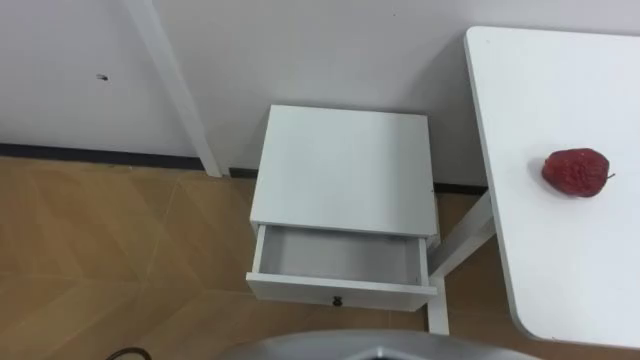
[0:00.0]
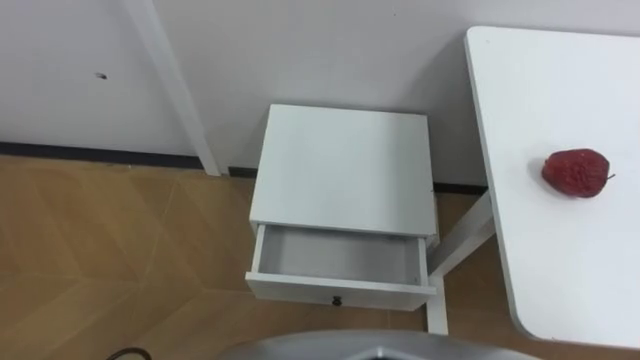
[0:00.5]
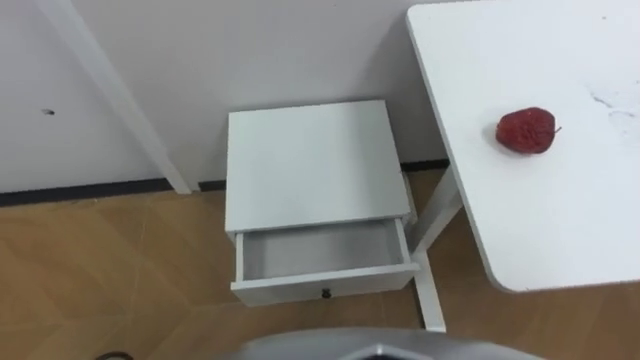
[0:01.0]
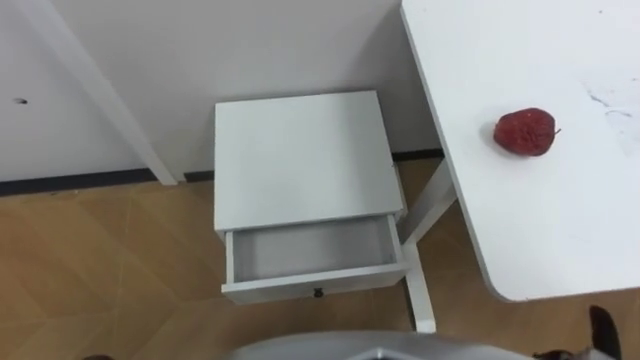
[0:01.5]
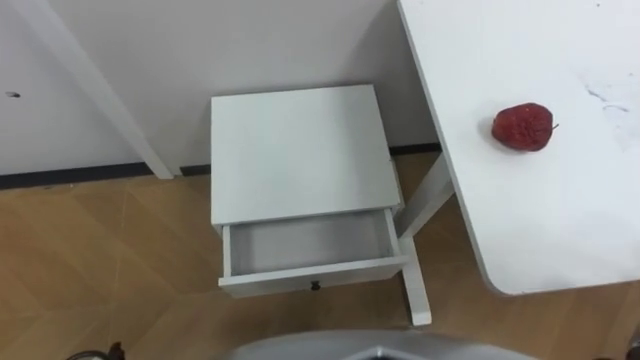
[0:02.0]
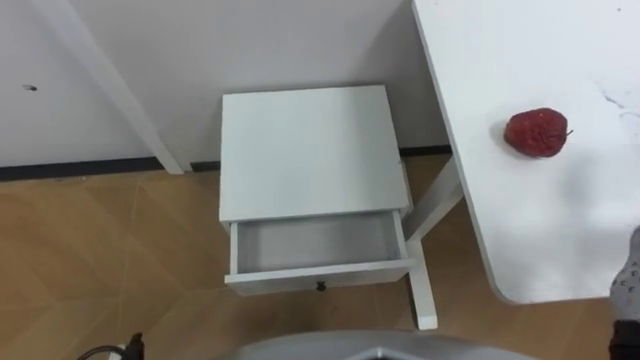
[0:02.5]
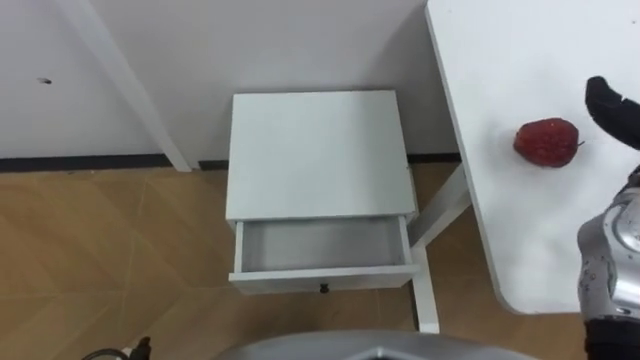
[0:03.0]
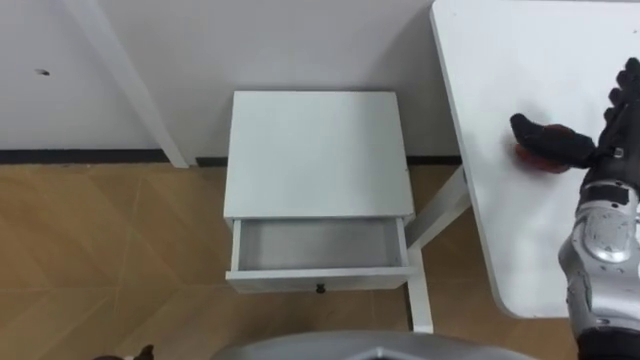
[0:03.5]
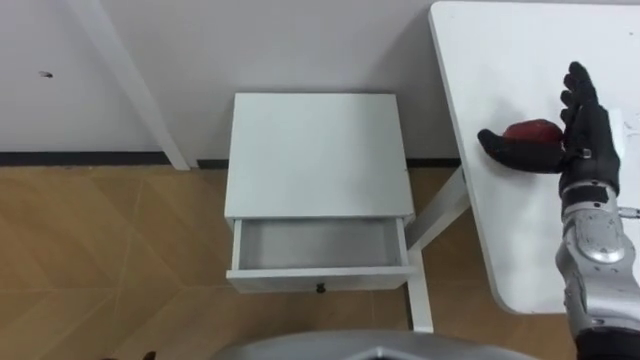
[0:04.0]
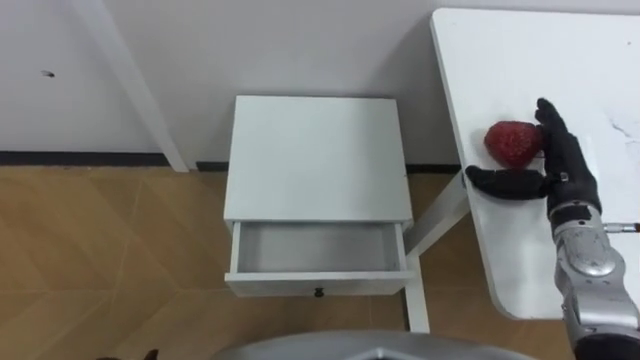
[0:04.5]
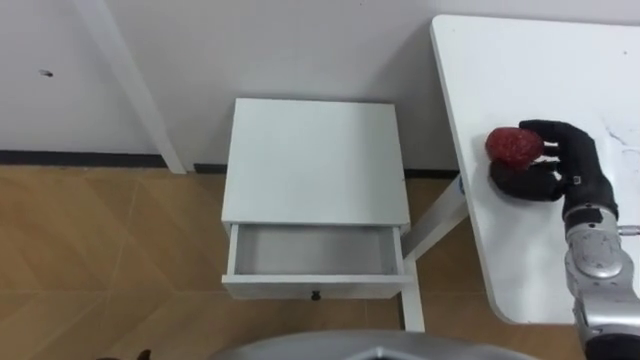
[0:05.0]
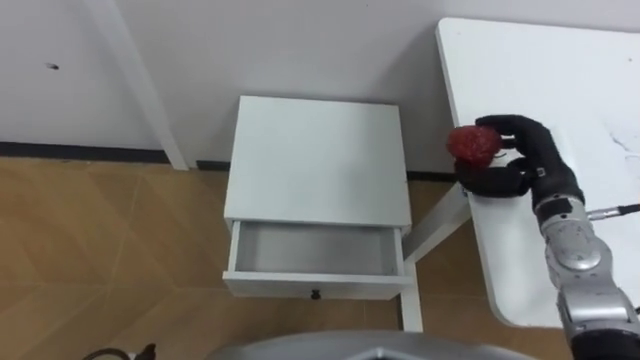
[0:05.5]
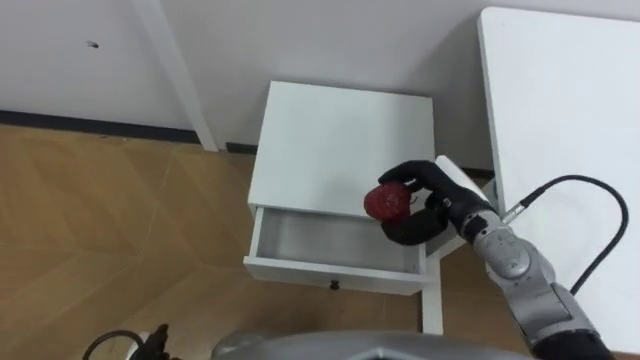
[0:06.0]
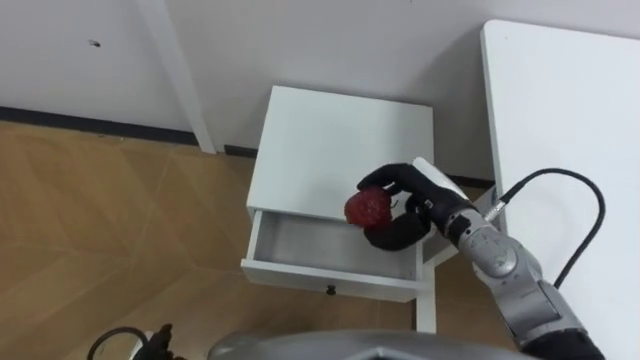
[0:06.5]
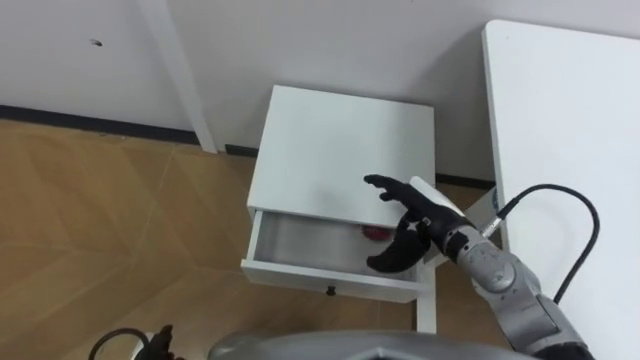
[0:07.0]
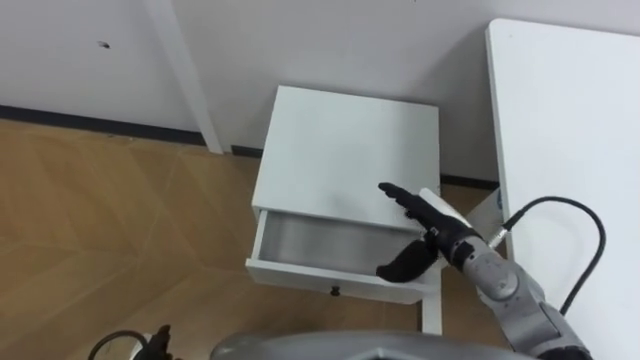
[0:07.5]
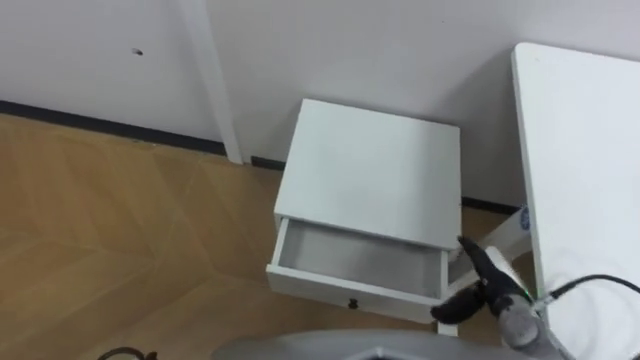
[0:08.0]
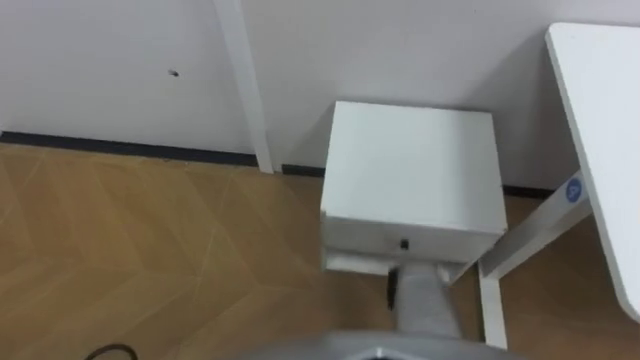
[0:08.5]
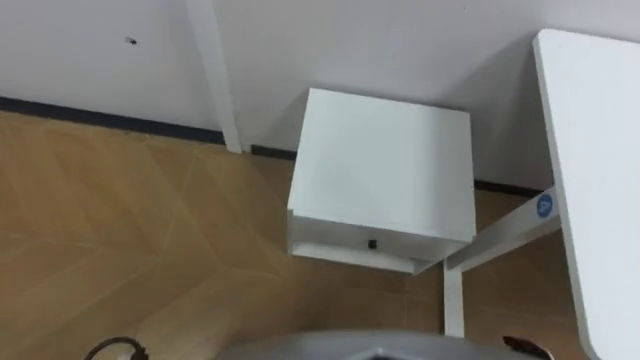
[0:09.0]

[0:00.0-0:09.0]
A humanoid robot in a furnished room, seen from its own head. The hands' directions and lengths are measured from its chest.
Task of the whole recording: Pick up the apple from the table, put it in the drawer, and close the drawer with leg.
0:04.5 to 0:07.0: The right hand heads to the left, covering some 15 cm, and closes, then opens again.

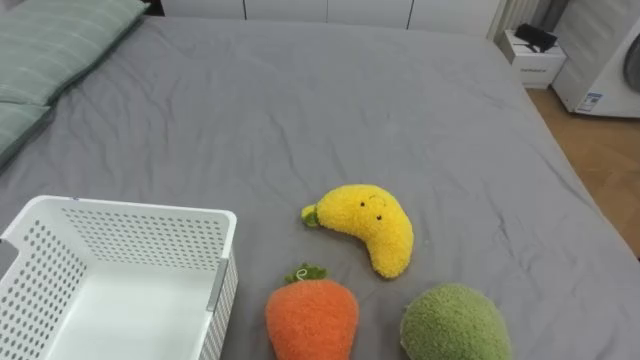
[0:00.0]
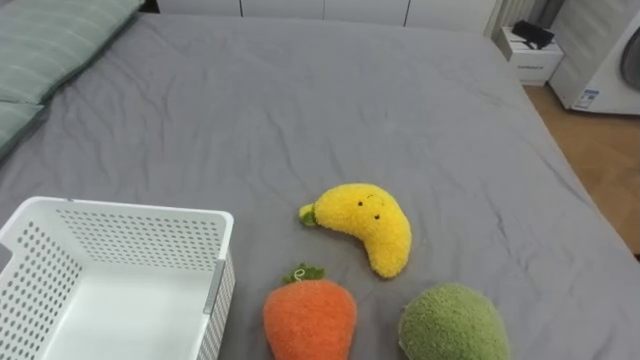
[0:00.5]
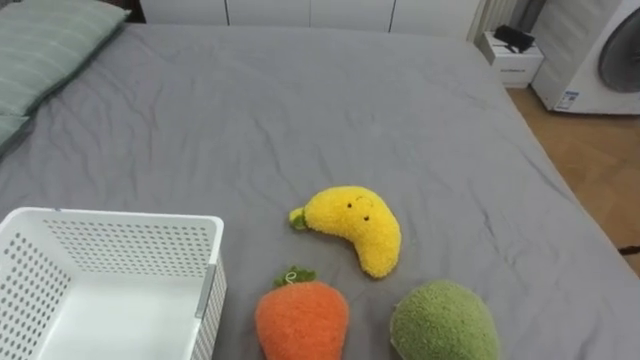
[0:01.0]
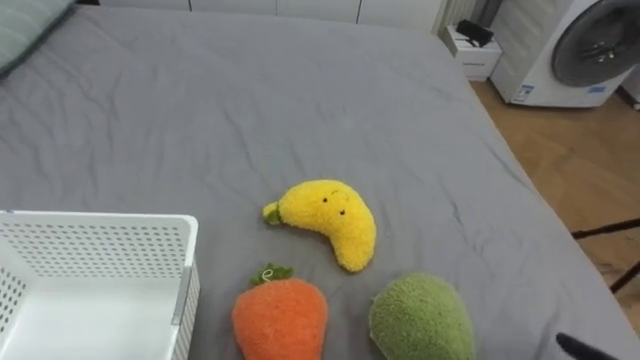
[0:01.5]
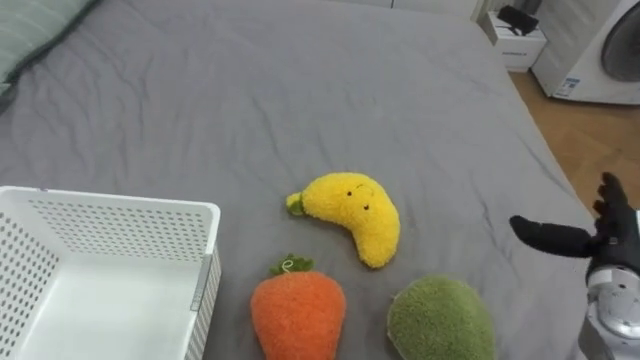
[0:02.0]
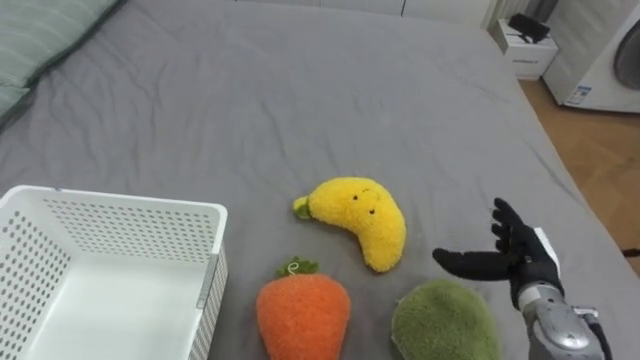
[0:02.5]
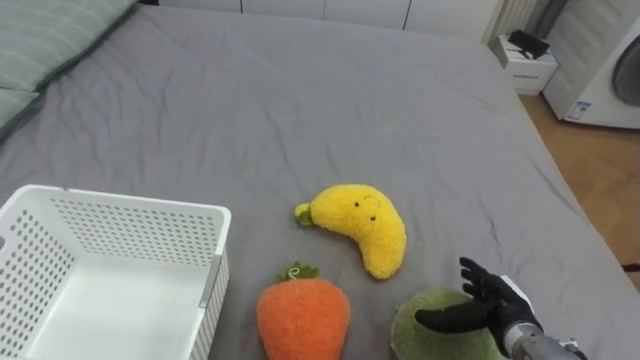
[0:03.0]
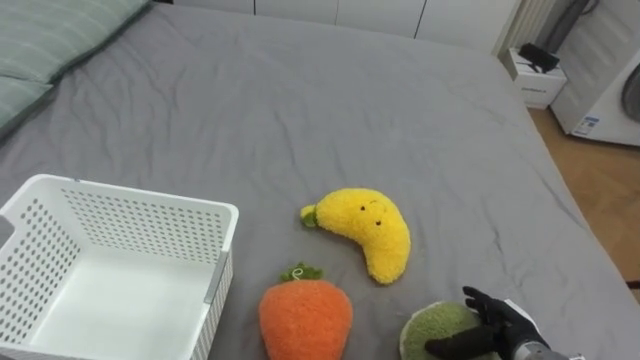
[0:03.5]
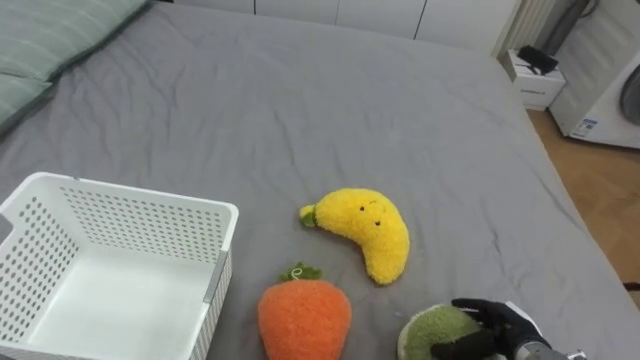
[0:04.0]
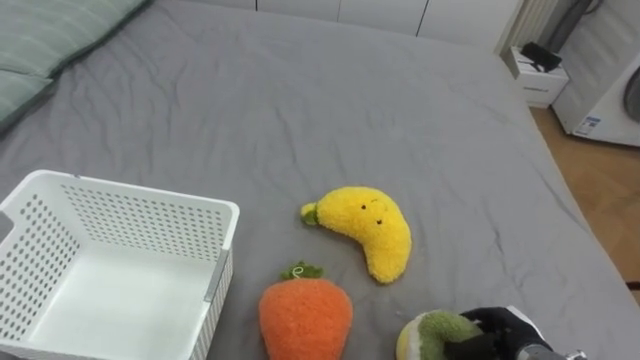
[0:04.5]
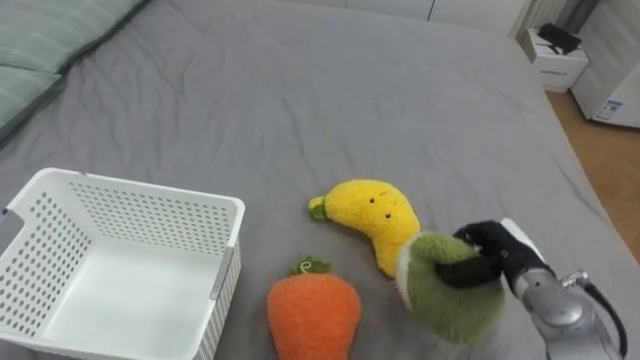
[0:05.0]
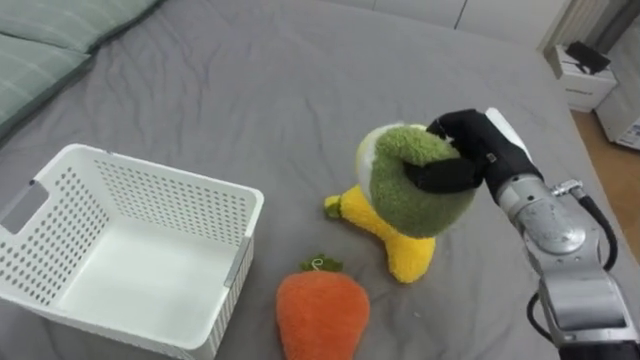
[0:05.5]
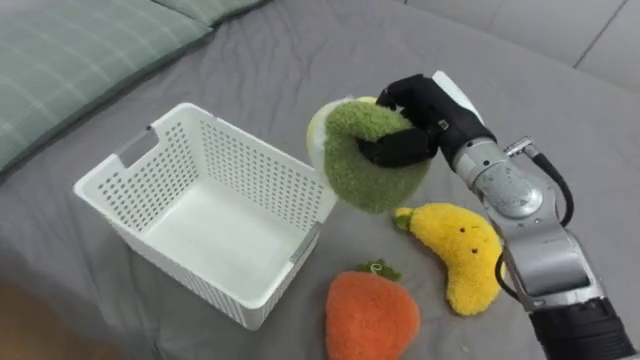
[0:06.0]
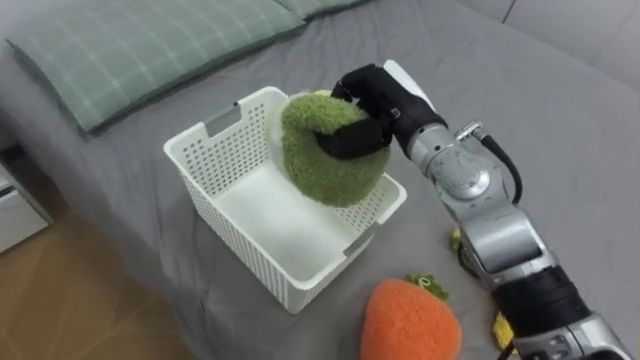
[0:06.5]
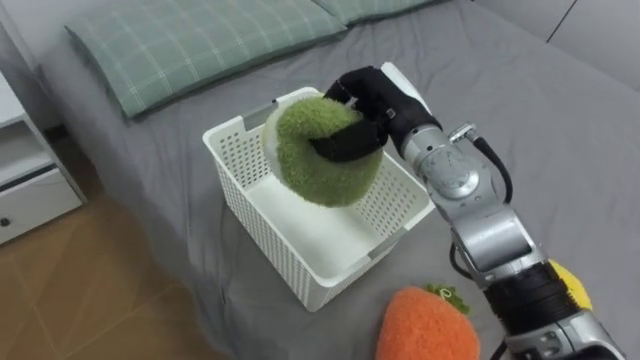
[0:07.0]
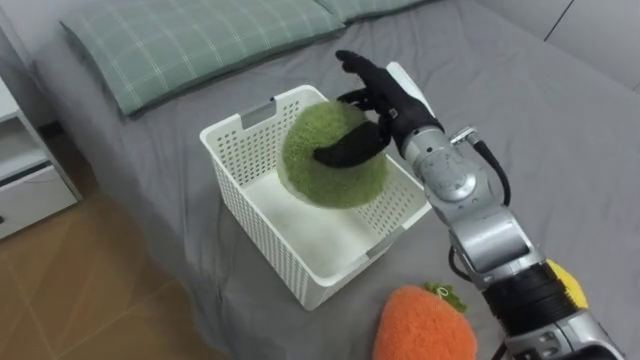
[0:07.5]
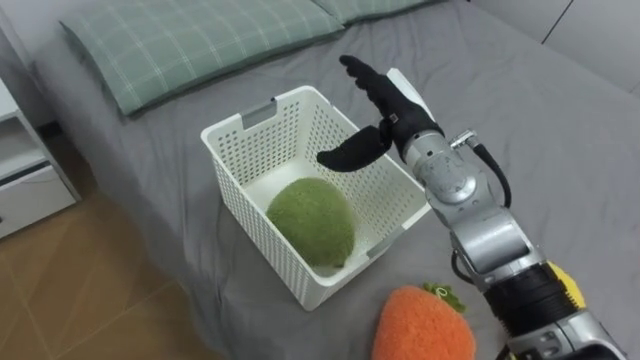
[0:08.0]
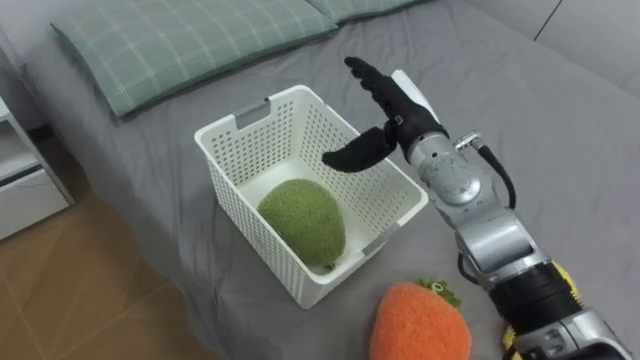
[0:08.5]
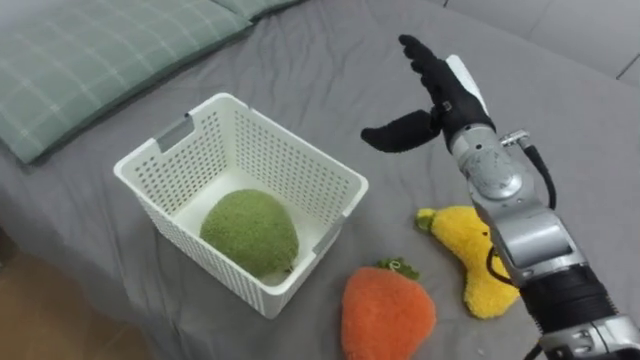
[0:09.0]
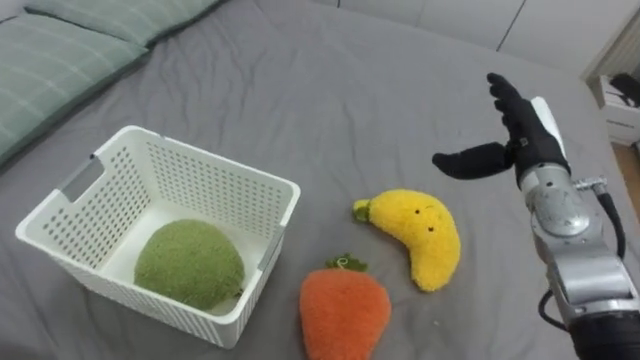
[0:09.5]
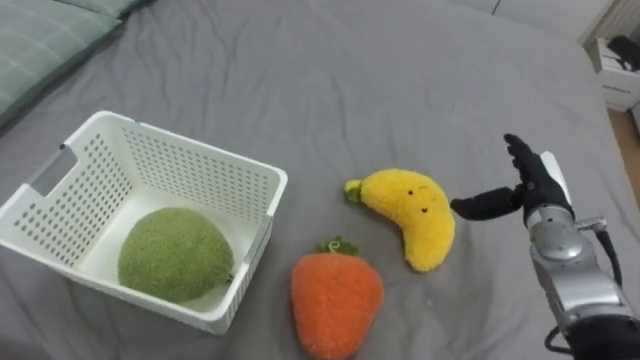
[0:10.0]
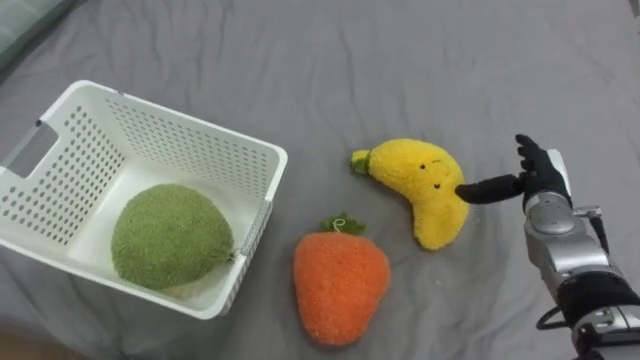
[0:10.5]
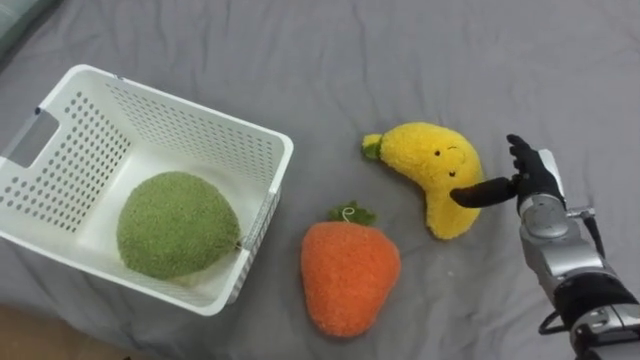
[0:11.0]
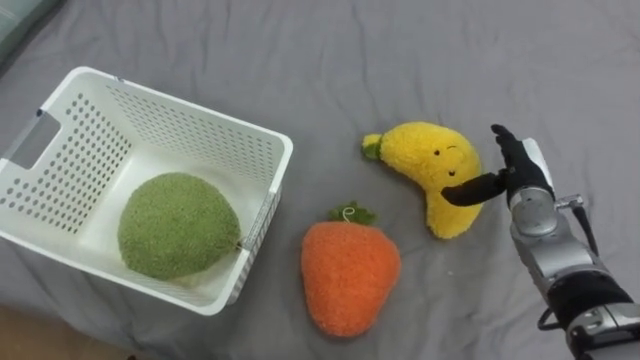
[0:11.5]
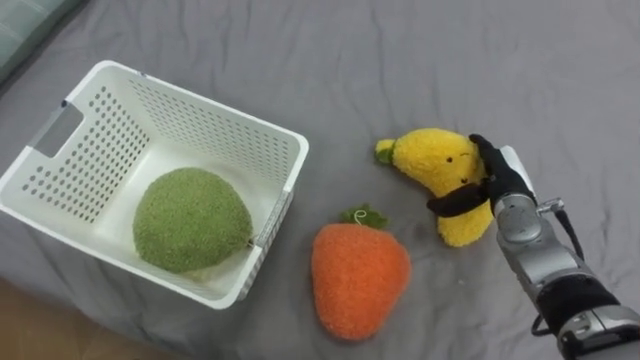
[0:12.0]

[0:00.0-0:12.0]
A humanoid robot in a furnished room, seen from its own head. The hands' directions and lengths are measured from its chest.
Task of the whole recording: Put the toys on the bed into the basket on the left.
0:02.0 to 0:04.0: The right hand goes about 20 cm downward, to the left and backward.
0:04.0 to 0:06.0: The right hand heads upward, forward and to the left, covering roughly 35 cm, and closes.
0:06.0 to 0:08.0: The right hand shifts approximately 5 cm to the left, and opens up.
0:08.0 to 0:10.0: The right hand shifts approximately 20 cm to the right and downward.
